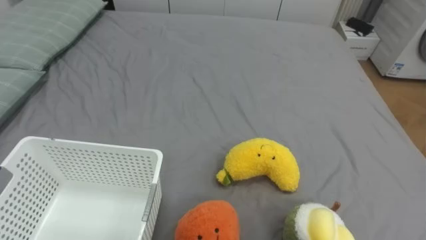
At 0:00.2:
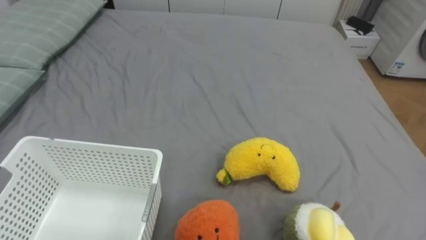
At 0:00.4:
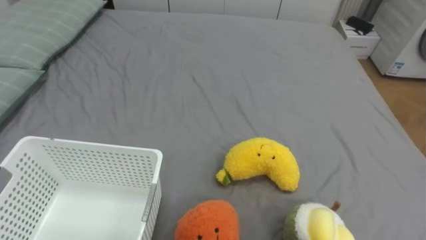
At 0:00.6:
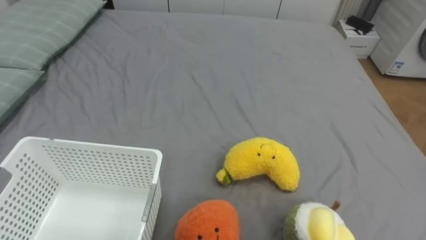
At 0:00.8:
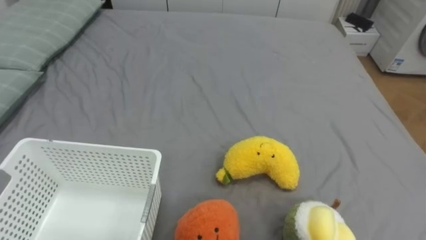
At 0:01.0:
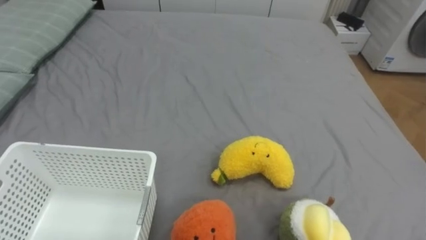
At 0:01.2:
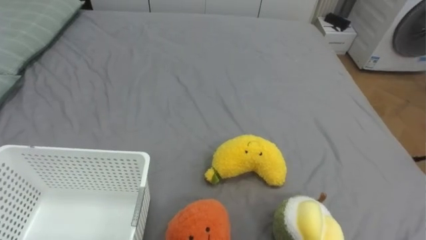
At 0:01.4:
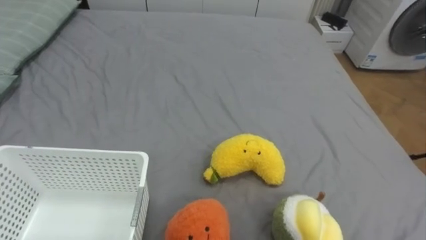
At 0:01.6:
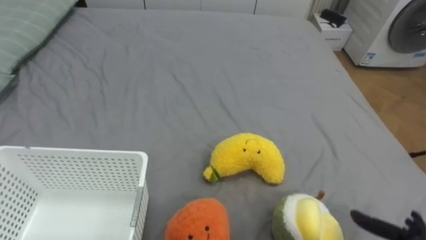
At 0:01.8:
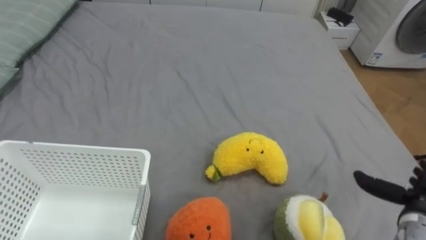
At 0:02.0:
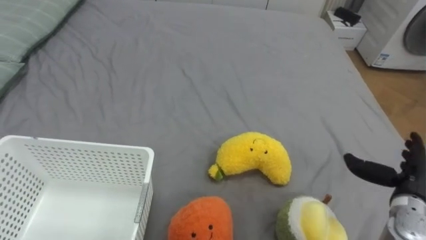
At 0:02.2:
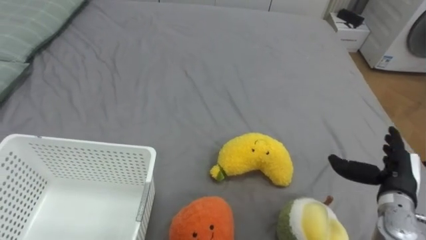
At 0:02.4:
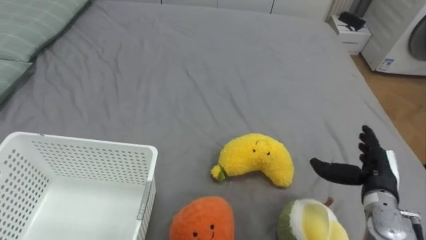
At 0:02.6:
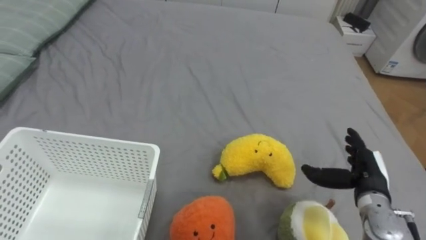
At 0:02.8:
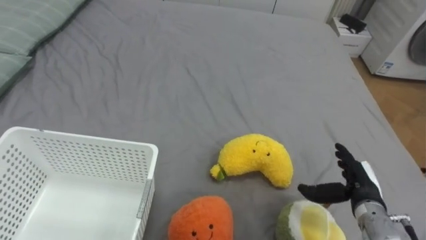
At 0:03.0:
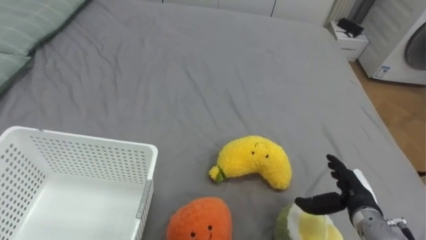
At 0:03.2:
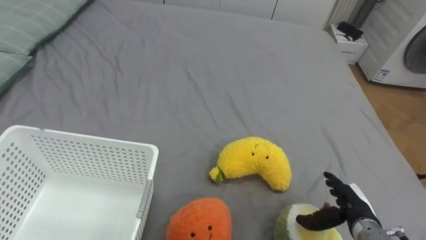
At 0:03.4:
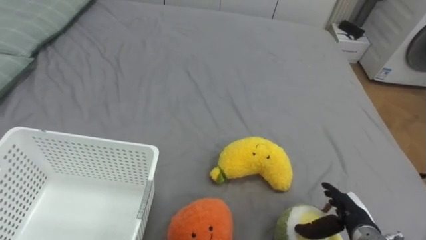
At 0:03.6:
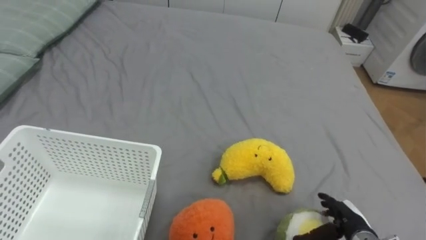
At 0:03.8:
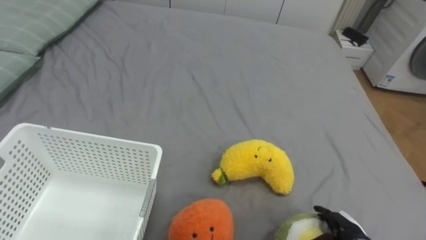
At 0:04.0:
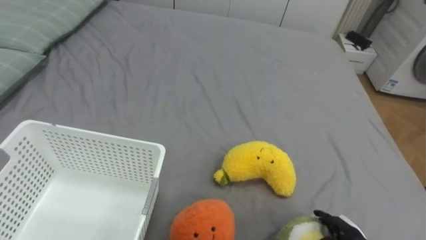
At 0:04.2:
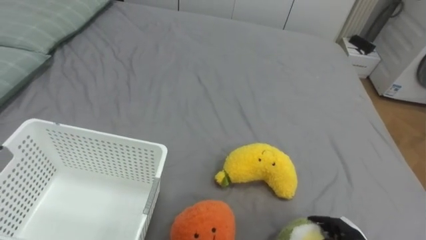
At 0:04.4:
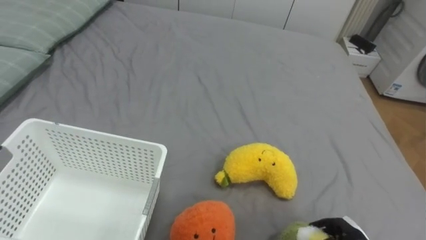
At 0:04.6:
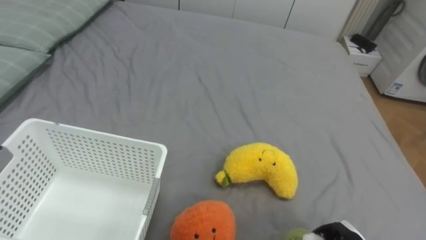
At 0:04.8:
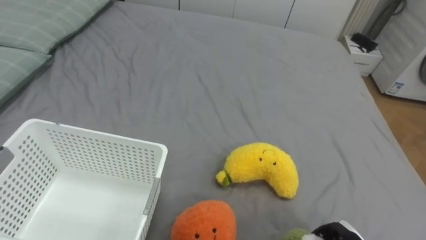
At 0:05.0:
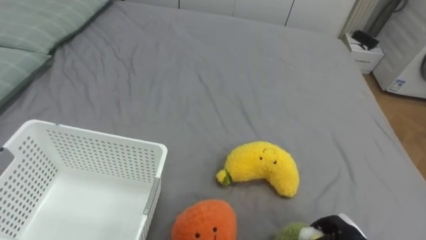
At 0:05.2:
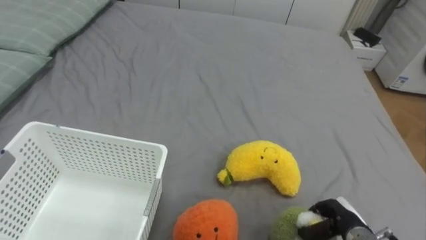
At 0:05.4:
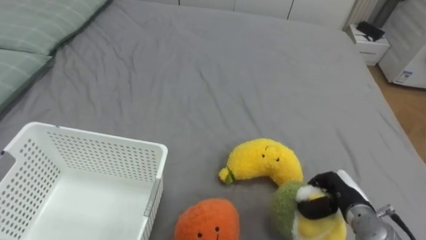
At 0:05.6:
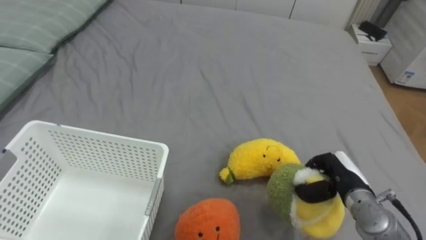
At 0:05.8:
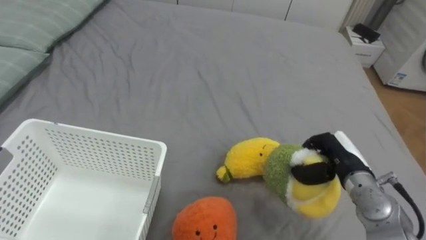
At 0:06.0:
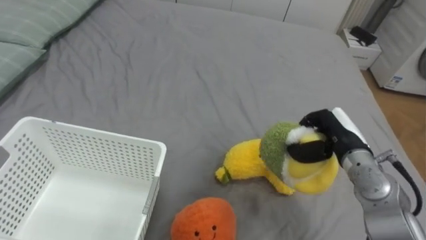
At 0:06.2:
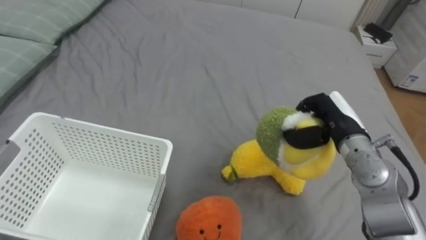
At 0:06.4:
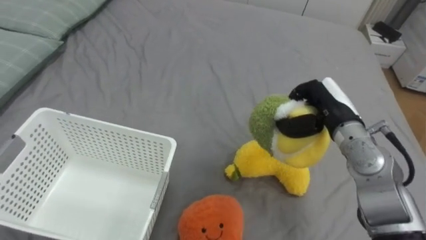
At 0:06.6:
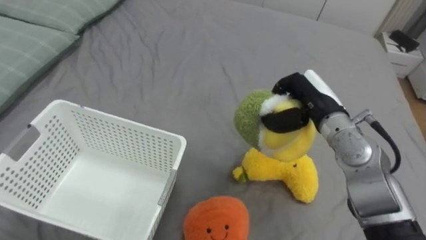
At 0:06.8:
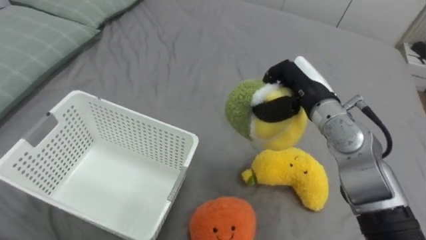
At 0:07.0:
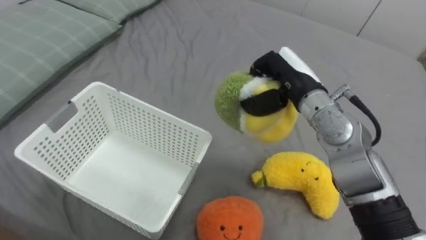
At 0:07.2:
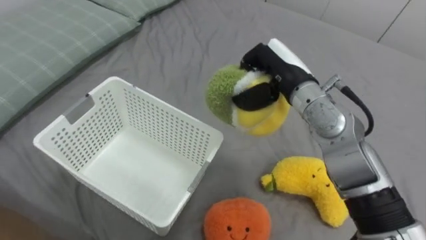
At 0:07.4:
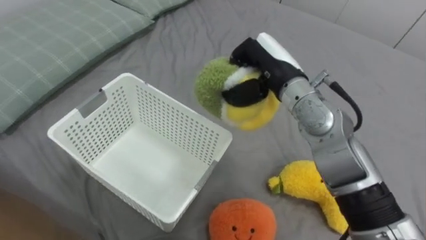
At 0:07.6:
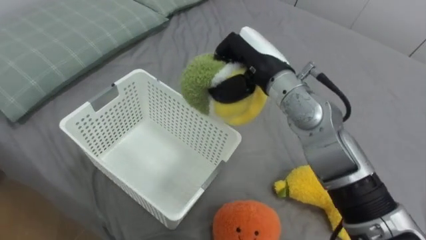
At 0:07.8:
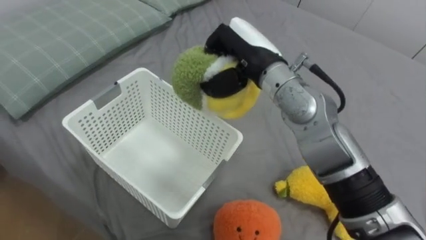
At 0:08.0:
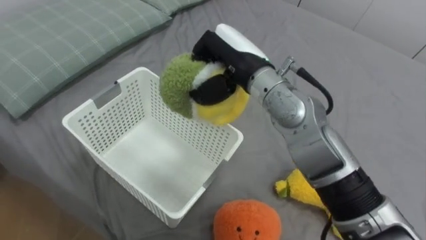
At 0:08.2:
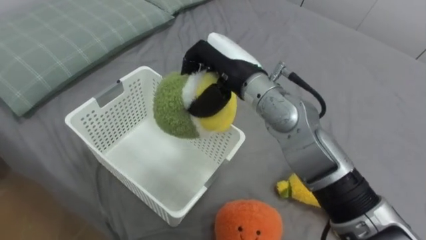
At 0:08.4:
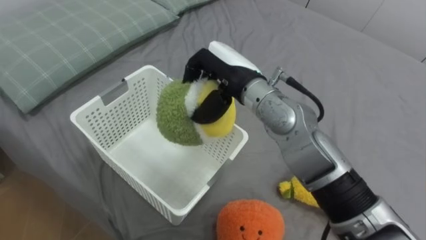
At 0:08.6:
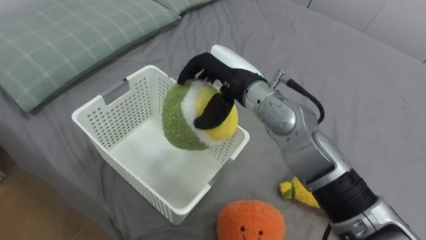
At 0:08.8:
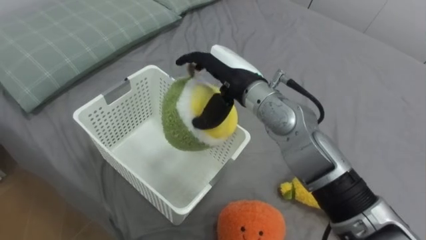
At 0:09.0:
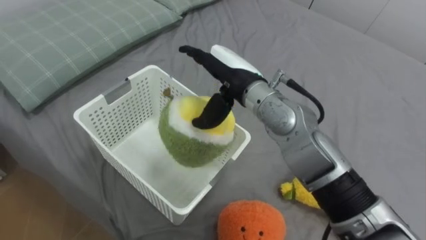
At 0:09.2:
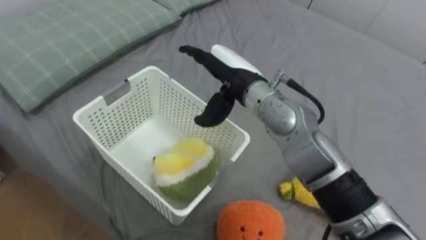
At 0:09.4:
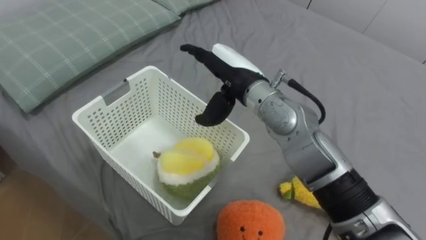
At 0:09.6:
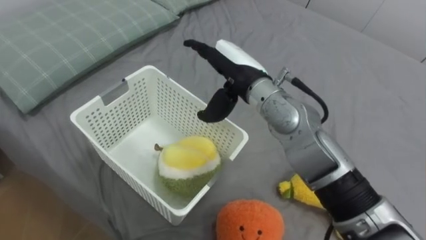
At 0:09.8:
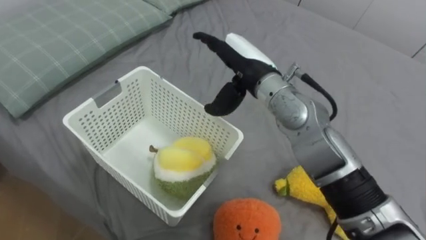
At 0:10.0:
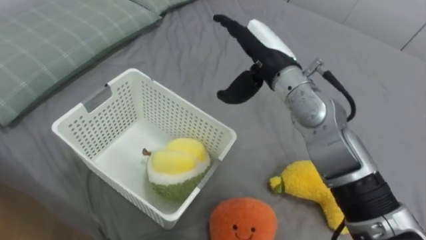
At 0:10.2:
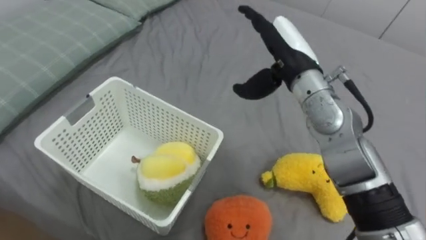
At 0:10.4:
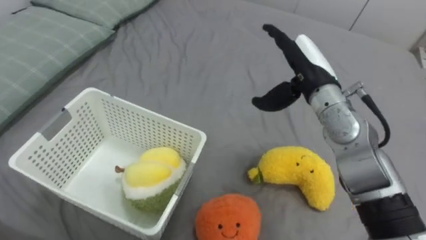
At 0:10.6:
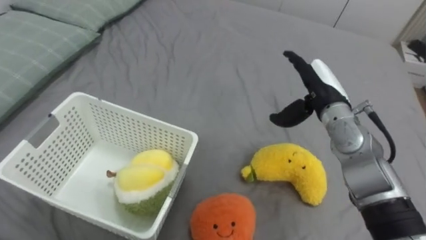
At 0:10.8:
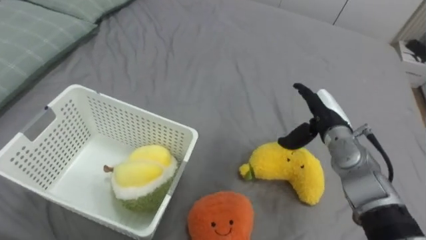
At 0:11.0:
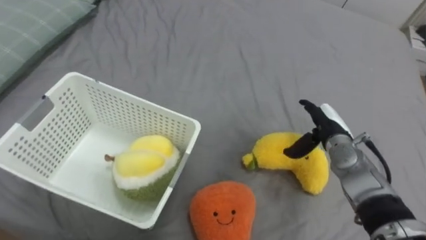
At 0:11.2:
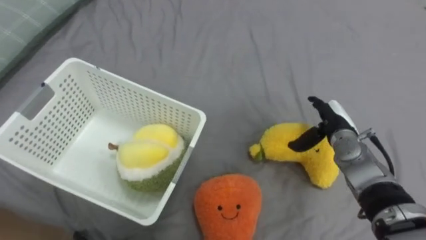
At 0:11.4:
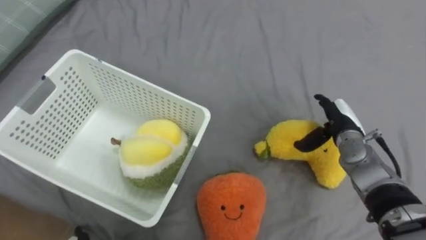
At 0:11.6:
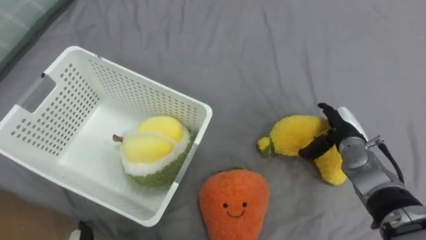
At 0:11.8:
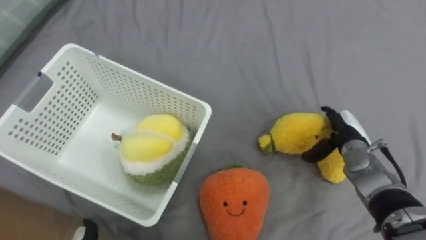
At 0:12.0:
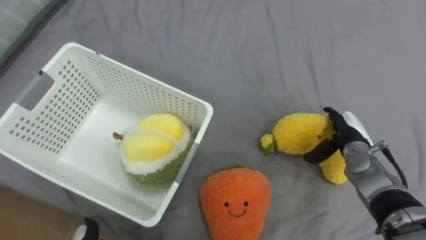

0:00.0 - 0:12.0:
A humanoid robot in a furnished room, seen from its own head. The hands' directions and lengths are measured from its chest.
Task of the whole recording: Put the toys on the bed into the basket on the left.
0:03.0 - 0:04.4: The right hand is displaced downward and backward by approximately 10 cm.
0:06.0 - 0:07.6: The right hand moves to the left and upward, about 20 cm.
0:07.6 - 0:09.0: The right hand ends up some 5 cm from where it was, and opens its fingers.
0:09.0 - 0:10.4: The right hand is displaced to the right by roughly 15 cm.
0:10.4 - 0:12.0: The right hand heads downward and to the right, covering roughly 20 cm.

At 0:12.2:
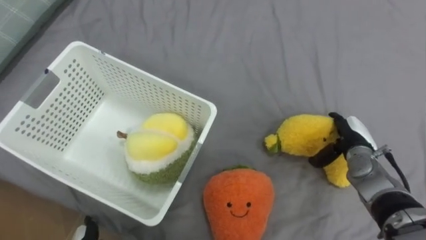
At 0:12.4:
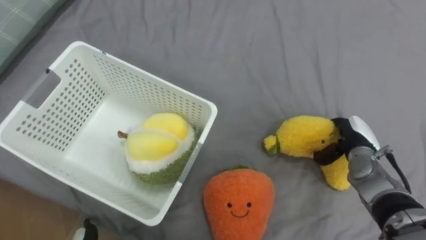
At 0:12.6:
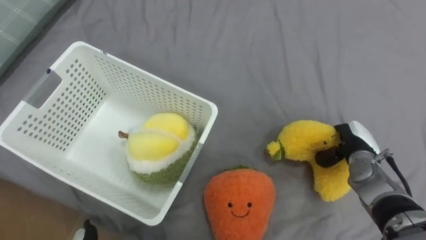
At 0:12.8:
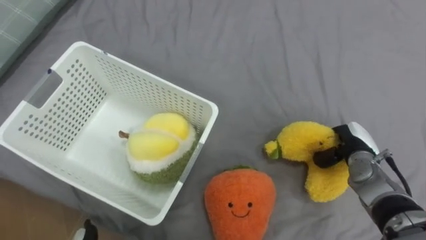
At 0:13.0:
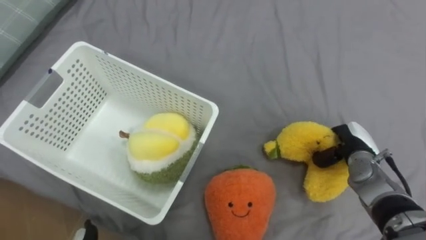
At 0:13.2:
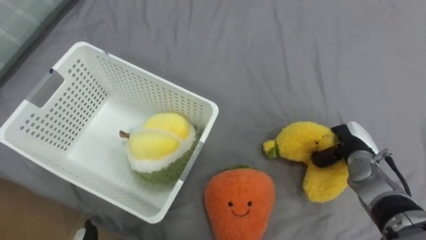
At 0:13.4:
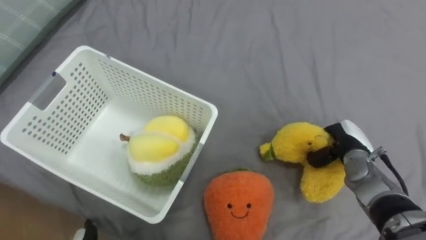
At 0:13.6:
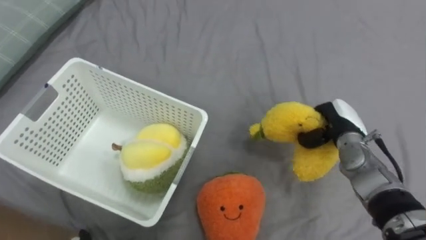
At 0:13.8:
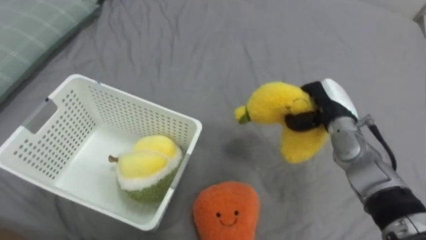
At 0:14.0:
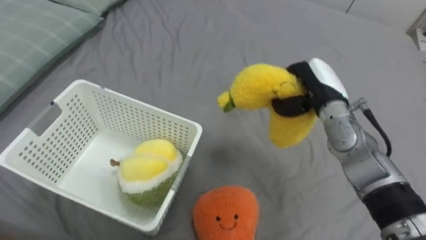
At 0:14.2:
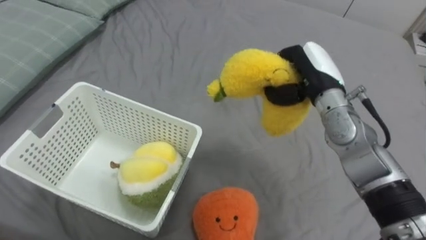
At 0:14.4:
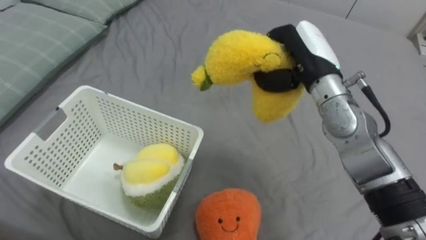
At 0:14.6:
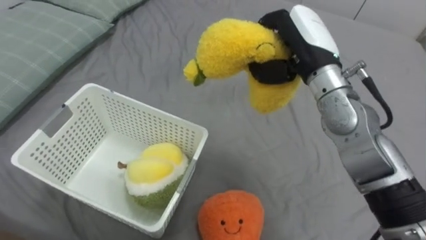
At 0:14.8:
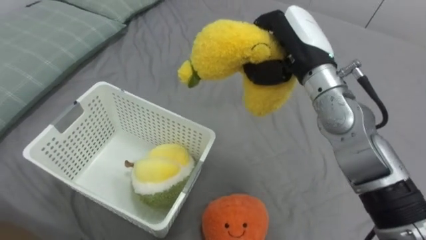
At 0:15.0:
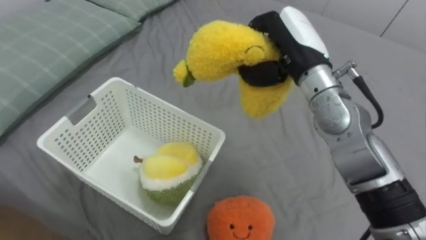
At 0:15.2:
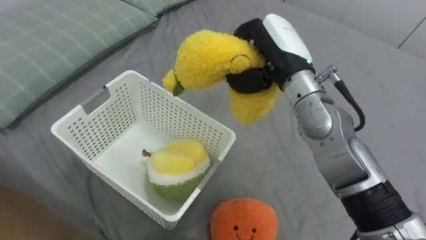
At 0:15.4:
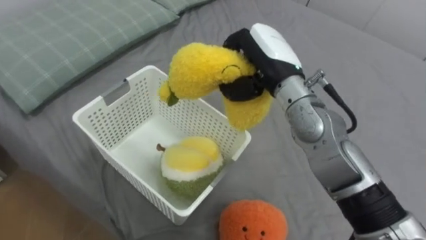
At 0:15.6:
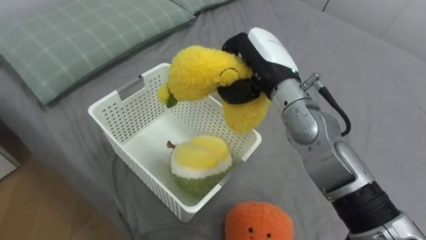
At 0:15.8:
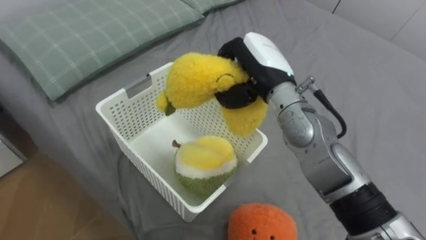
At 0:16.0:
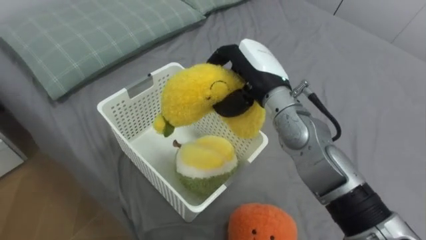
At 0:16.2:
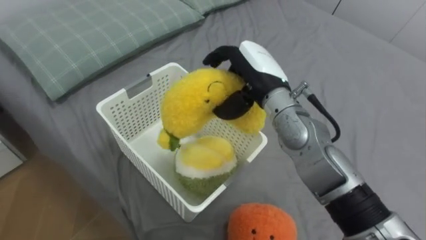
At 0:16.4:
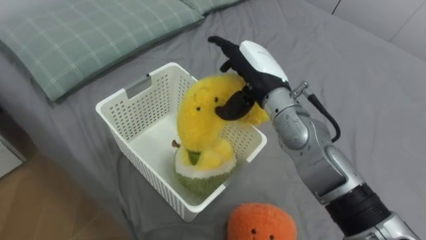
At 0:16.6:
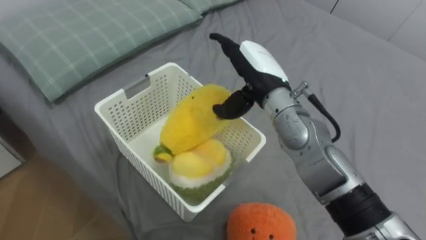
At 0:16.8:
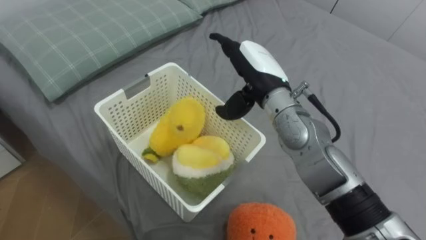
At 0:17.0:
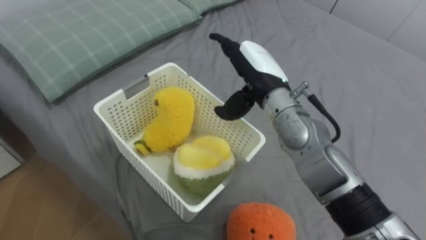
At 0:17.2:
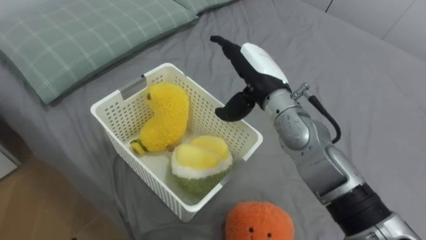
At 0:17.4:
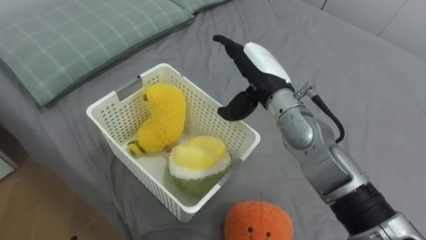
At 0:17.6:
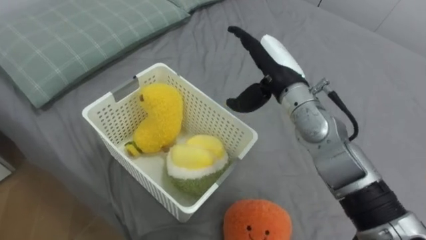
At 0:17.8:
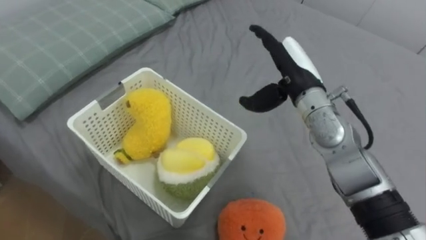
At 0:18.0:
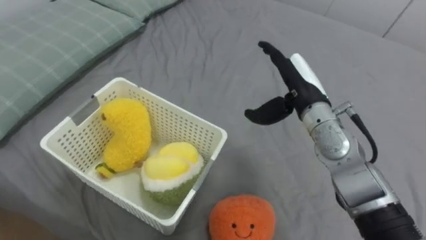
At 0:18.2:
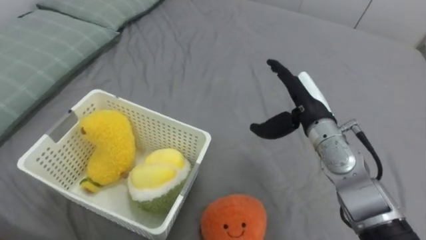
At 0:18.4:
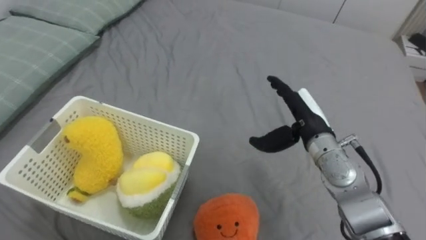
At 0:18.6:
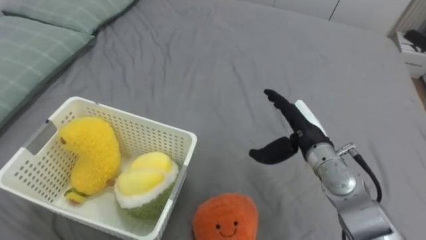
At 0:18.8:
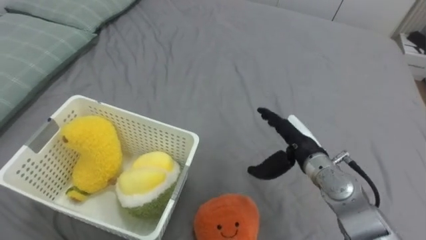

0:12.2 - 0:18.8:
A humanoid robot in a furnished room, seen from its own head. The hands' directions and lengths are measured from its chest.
Task of the whole recording: Put the toys on the bed into the basket on the left.
0:12.2 - 0:13.8: The right hand is displaced upward and to the left by roughly 10 cm, and closes its fingers.
0:13.8 - 0:15.4: The right hand is displaced to the left and upward by some 20 cm.
0:15.4 - 0:17.2: The right hand opens.
0:17.2 - 0:18.8: The right hand is displaced downward, to the right and backward by approximately 15 cm.
